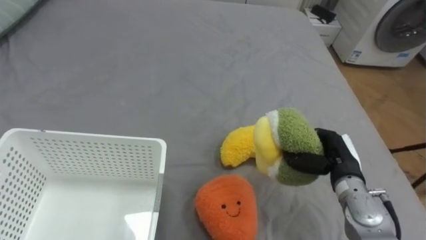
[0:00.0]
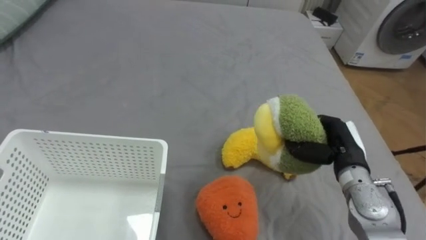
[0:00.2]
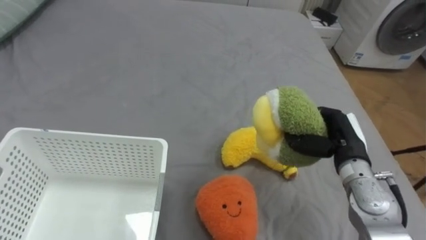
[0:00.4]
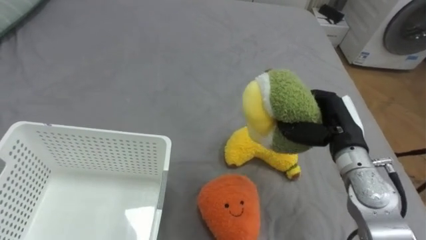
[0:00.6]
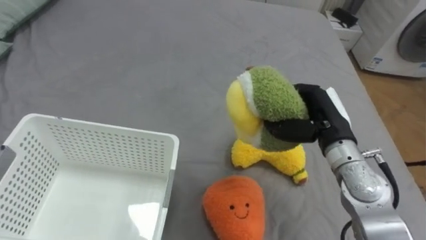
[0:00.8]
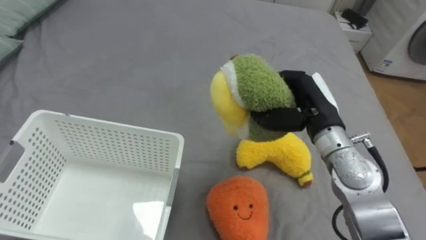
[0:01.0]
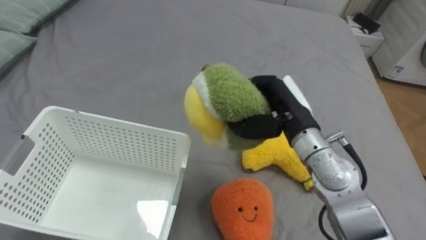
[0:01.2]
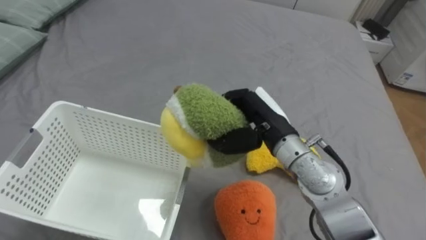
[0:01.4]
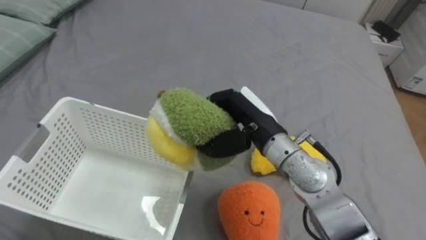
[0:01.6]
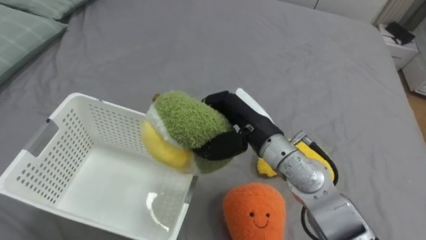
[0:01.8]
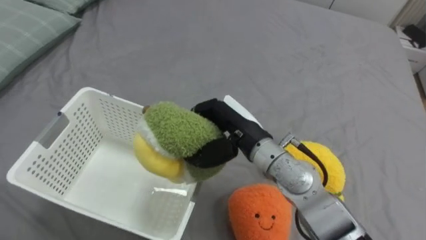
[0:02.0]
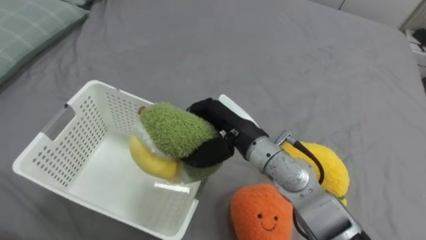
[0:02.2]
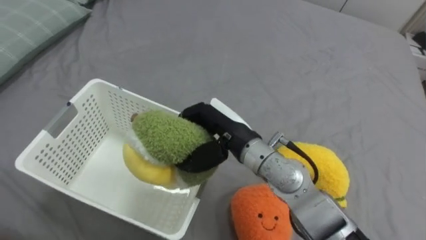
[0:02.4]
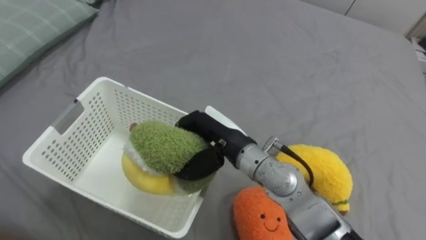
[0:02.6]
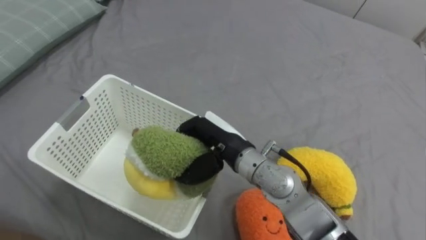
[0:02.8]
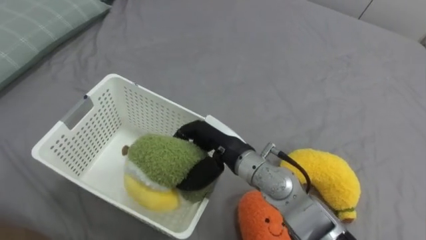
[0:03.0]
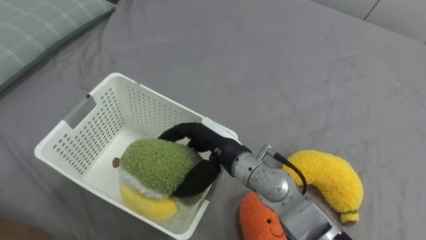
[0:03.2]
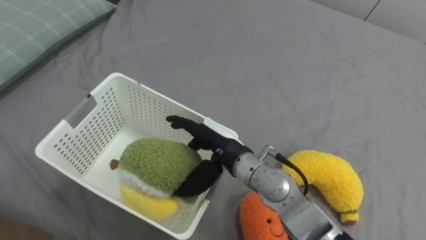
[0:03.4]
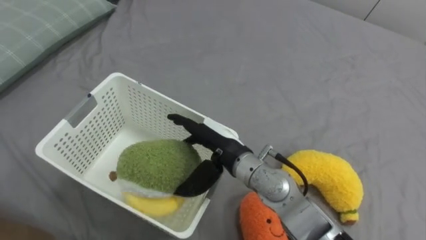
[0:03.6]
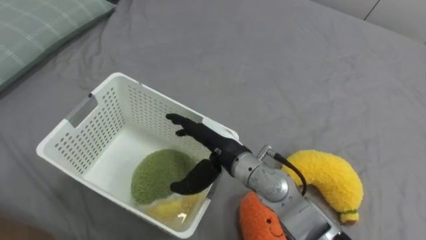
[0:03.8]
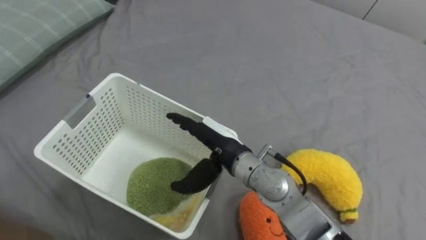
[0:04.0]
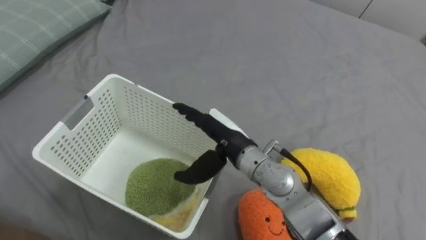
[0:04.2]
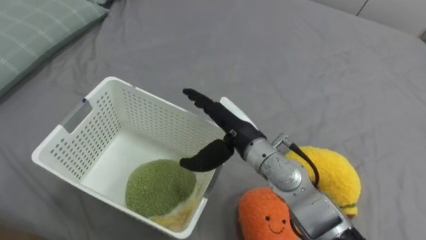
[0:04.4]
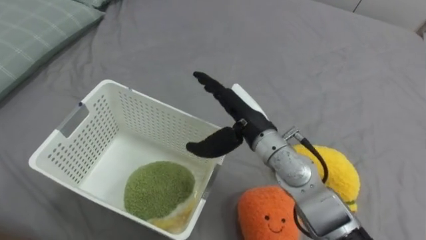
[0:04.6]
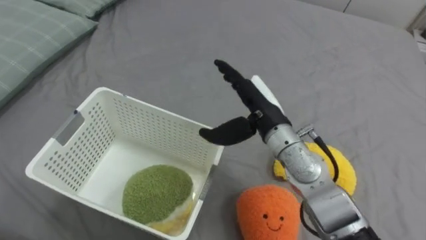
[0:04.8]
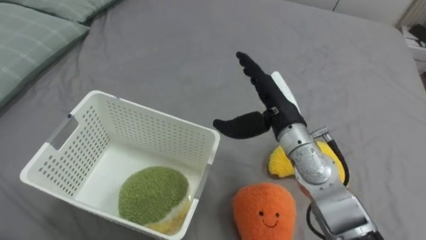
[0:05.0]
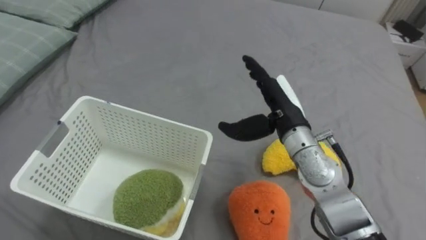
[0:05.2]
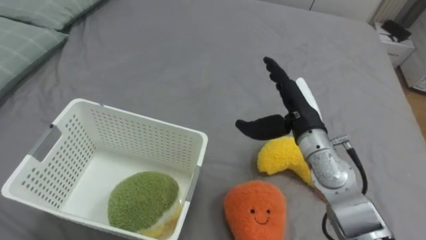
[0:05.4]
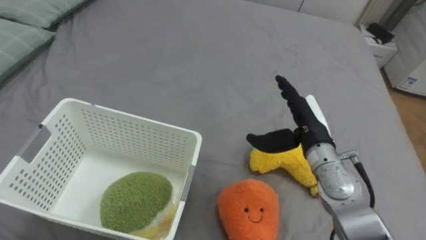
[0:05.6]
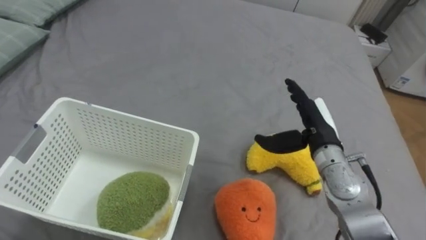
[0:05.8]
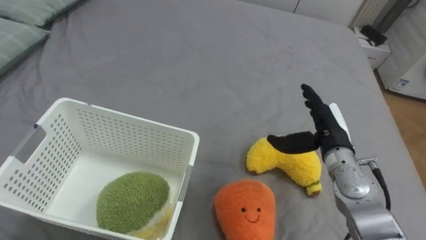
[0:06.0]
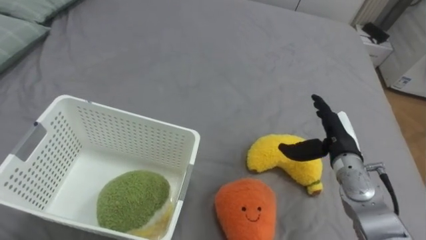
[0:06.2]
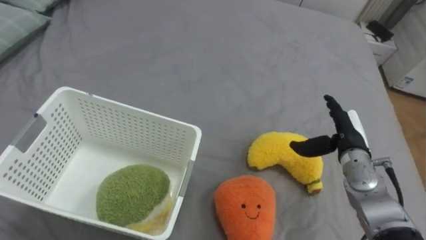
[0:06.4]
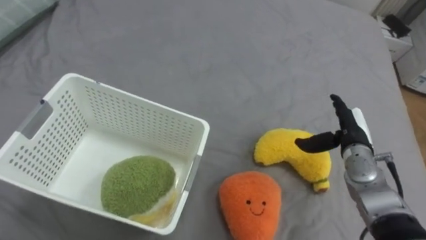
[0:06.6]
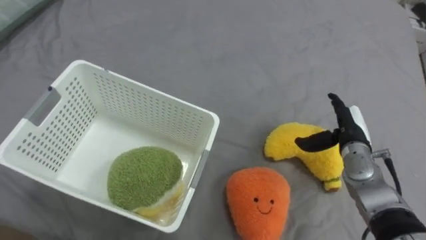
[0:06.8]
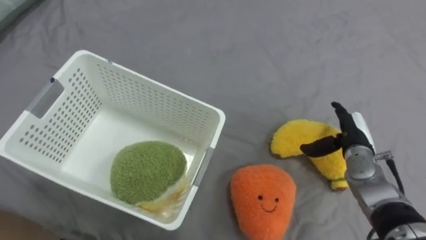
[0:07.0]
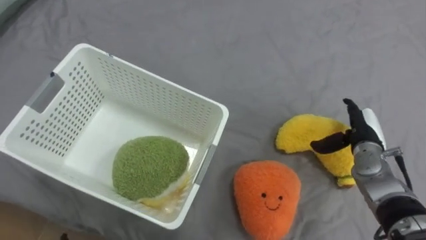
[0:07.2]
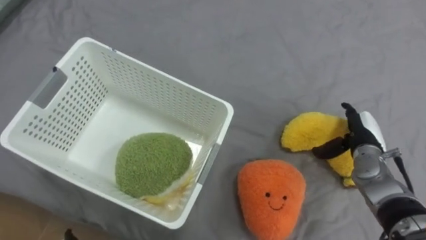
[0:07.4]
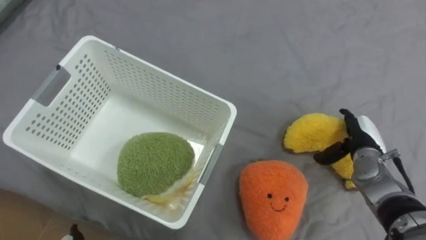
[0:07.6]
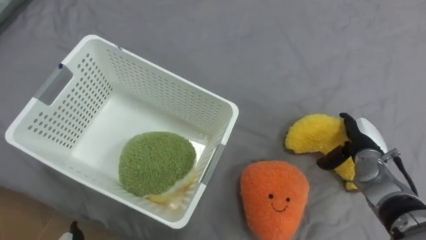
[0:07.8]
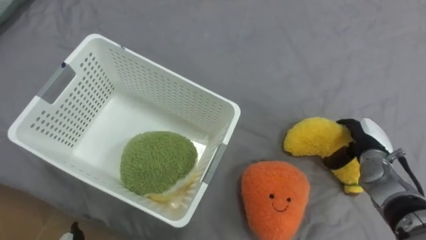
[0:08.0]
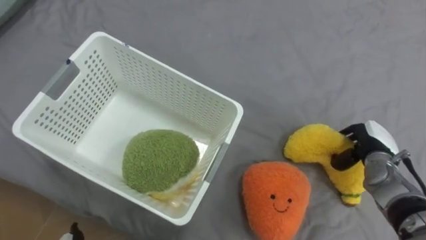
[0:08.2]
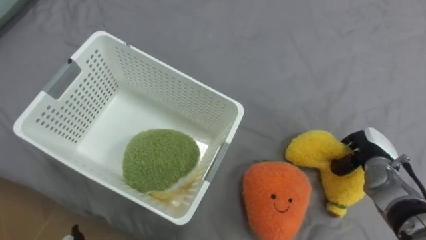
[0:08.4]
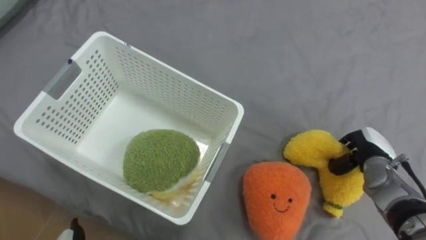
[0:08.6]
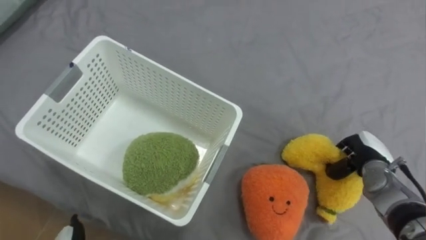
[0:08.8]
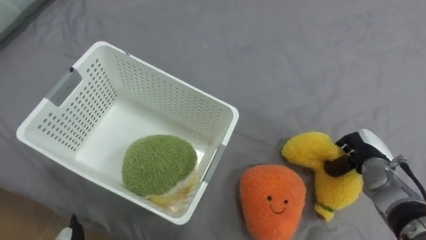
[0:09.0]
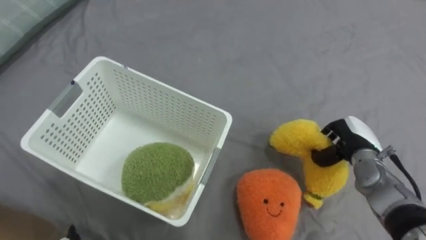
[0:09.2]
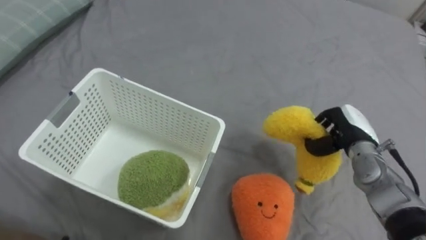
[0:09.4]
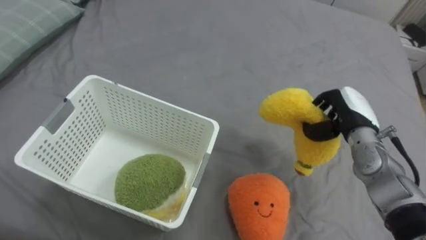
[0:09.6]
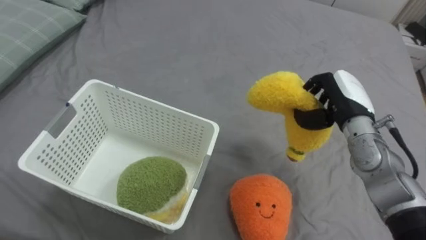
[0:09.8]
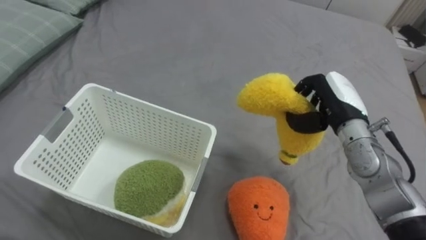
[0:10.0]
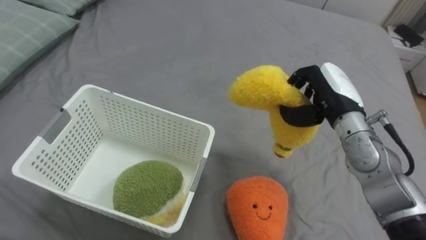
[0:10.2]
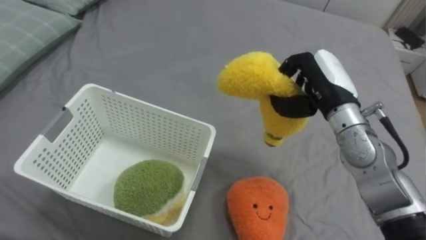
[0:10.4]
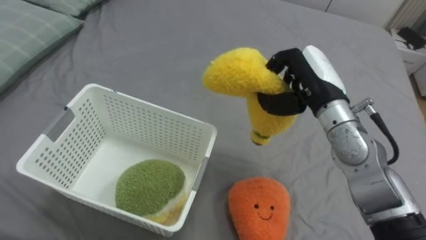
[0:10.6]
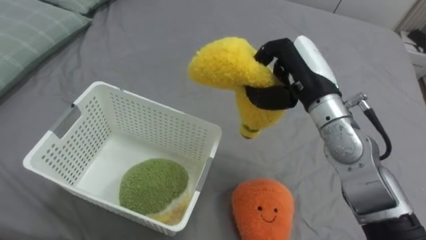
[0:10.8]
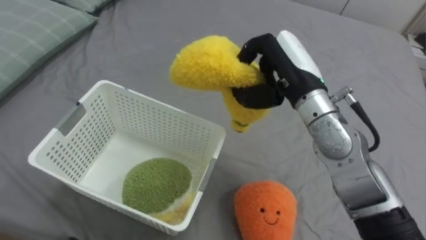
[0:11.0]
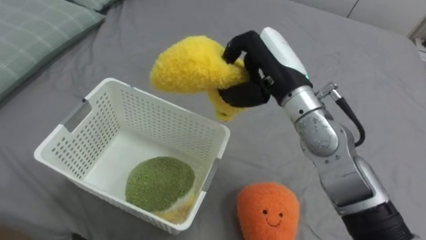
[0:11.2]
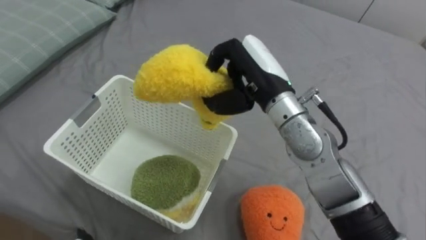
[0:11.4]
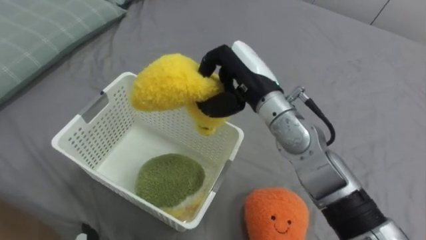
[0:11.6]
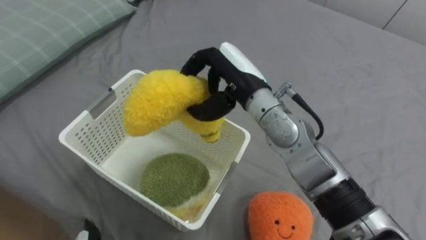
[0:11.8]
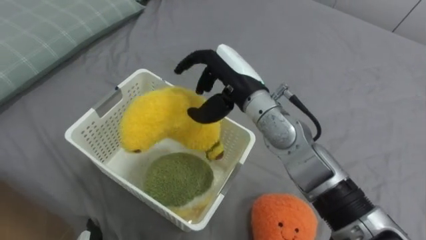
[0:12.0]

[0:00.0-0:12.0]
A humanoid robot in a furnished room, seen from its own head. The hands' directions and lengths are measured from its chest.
Task of the whole recording: Put the toys on the bed into the basket on the left.
0:00.0 to 0:01.6: The right hand goes approximately 20 cm to the left and upward.
0:01.6 to 0:03.0: The right hand shifts approximately 5 cm to the left.
0:03.0 to 0:04.4: The right hand opens up.
0:04.4 to 0:06.0: The right hand is displaced to the right by about 20 cm.
0:06.0 to 0:07.6: The right hand heads to the right and downward, covering about 10 cm.
0:07.6 to 0:09.0: The right hand closes its fingers.
0:09.0 to 0:10.4: The right hand is displaced upward and to the left by about 20 cm.
0:10.4 to 0:12.0: The right hand goes about 15 cm to the left, and opens its fingers.

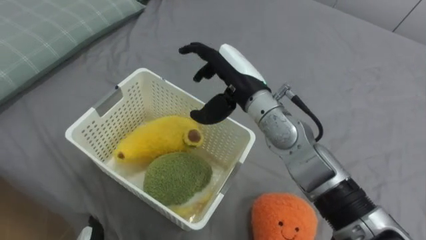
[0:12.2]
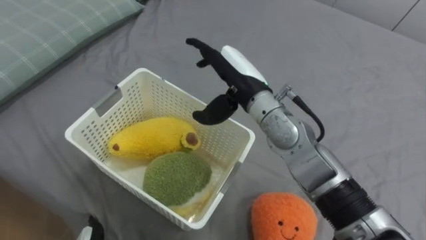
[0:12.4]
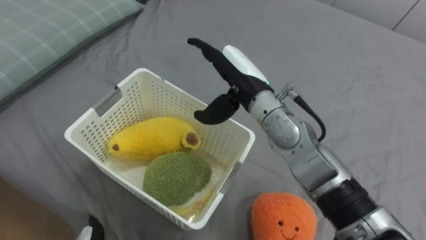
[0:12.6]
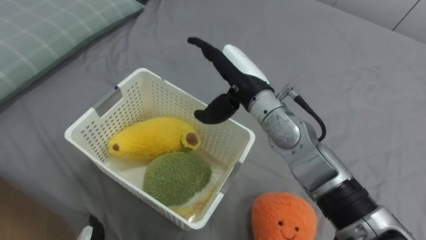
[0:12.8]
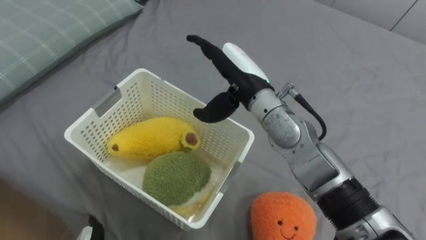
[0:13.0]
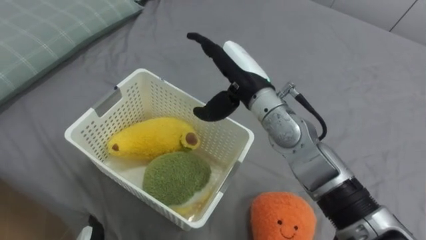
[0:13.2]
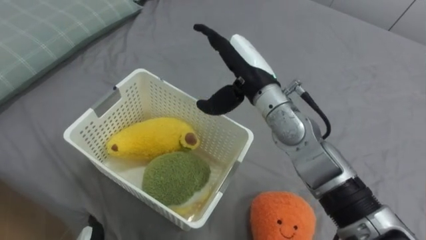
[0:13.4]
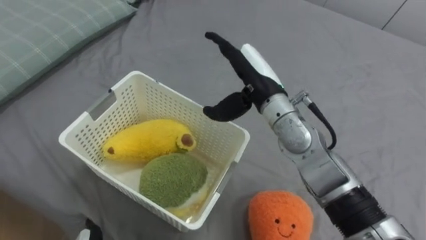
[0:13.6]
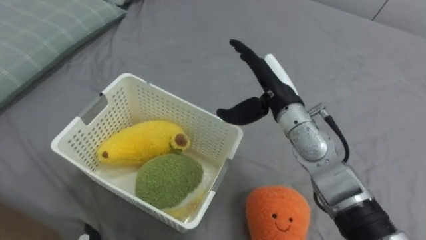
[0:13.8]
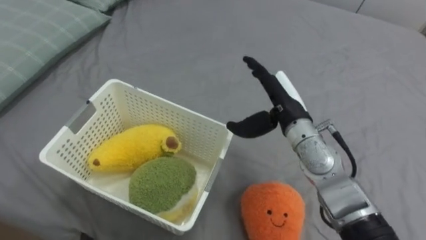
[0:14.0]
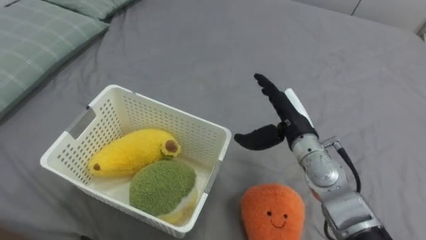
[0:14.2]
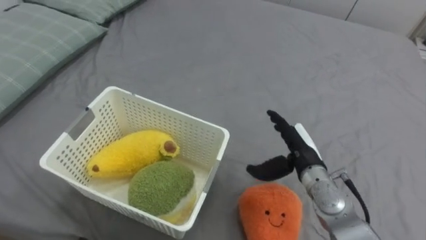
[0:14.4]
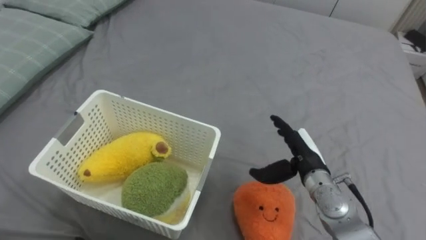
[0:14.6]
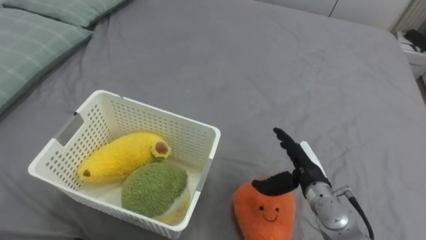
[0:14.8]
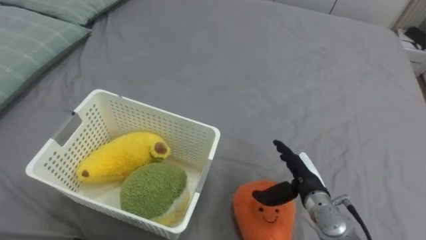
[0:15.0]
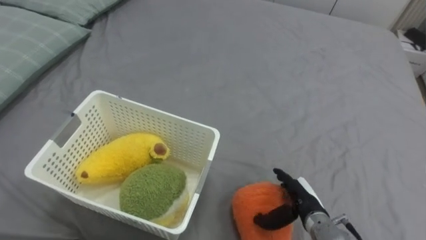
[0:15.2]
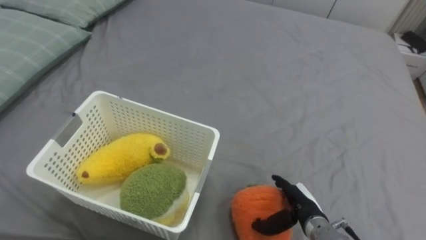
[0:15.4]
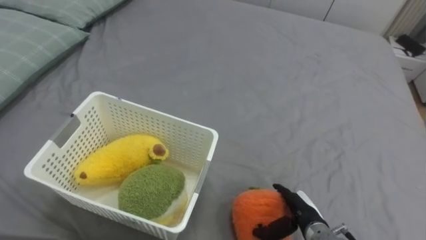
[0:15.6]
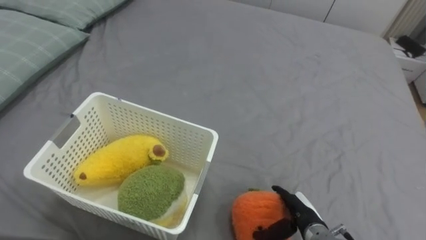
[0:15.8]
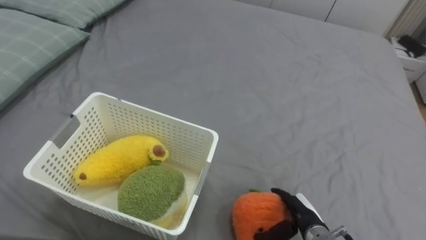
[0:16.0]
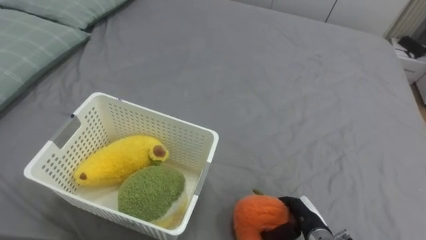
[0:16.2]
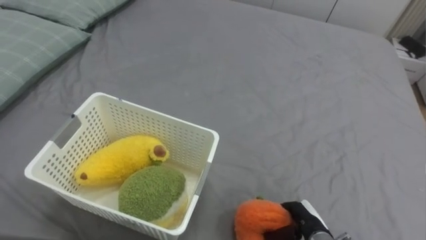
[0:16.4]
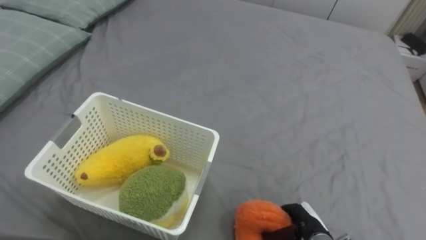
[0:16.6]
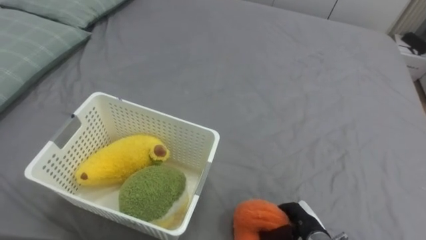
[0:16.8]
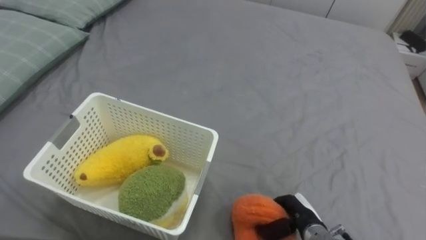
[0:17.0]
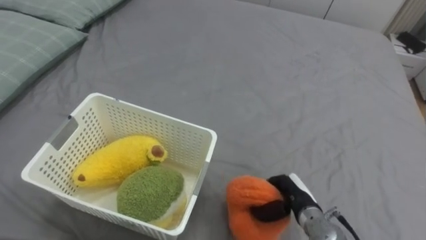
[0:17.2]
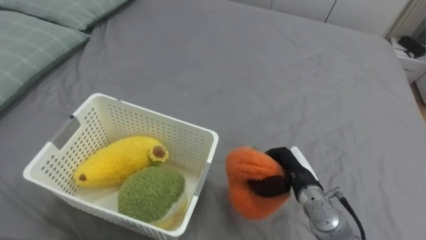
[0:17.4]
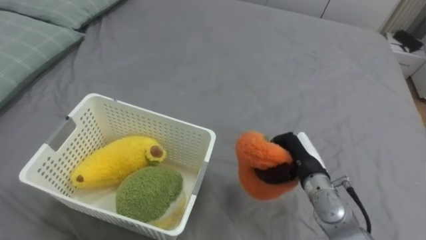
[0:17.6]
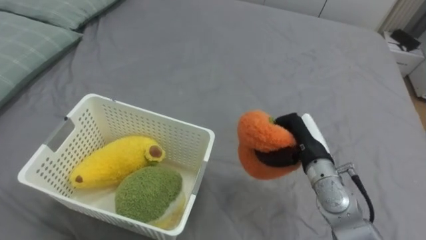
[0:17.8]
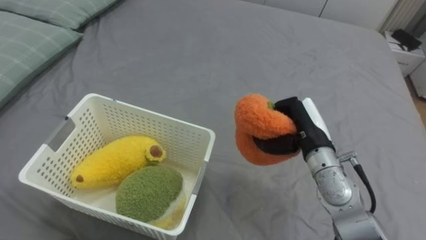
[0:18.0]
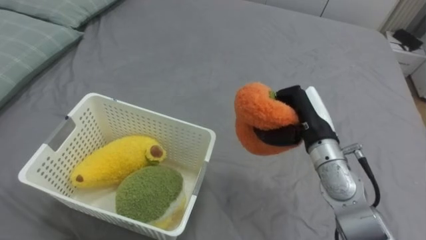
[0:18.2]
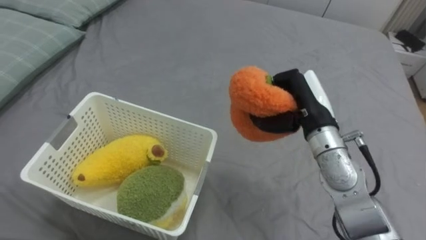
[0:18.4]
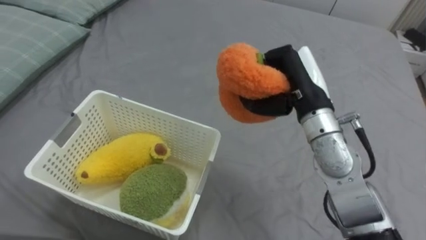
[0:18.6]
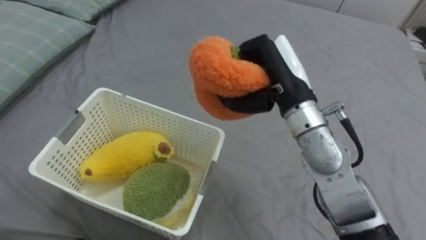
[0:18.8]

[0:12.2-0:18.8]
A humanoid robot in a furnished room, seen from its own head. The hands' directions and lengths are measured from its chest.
Task of the whole recording: Put the toys on the bed into the basket on the left.
0:12.2 to 0:13.8: The right hand travels to the right by about 5 cm.
0:13.8 to 0:15.4: The right hand is displaced downward and backward by roughly 25 cm.
0:15.4 to 0:17.2: The right hand closes.
0:17.2 to 0:18.8: The right hand travels upward by some 30 cm.
